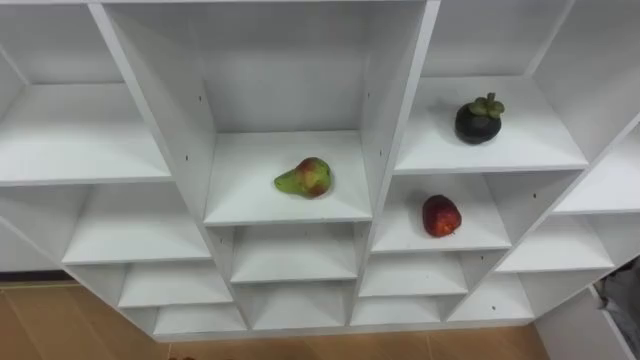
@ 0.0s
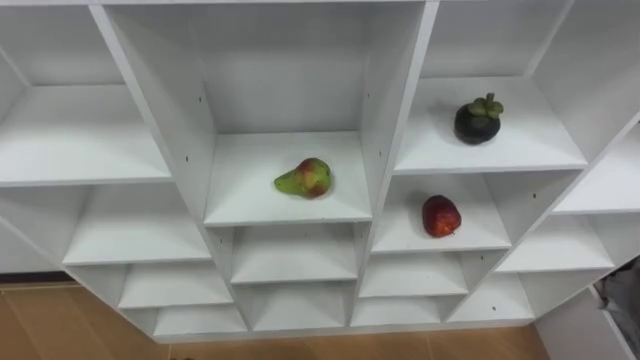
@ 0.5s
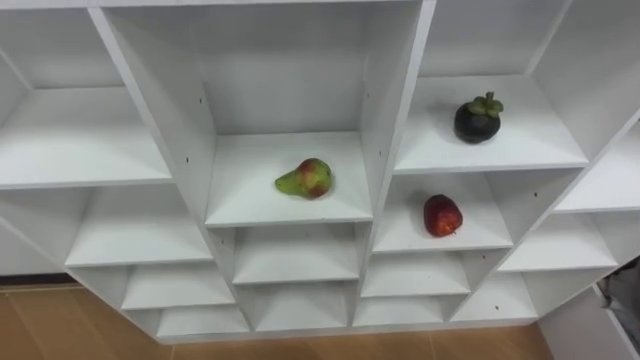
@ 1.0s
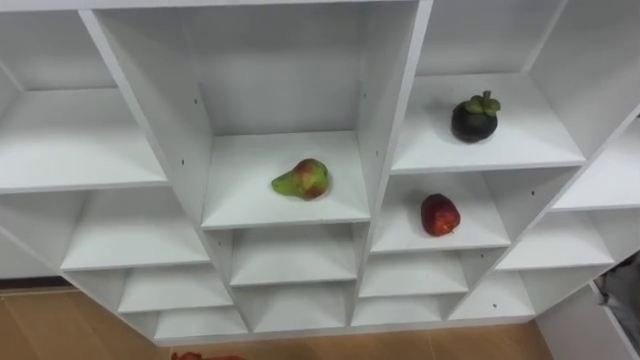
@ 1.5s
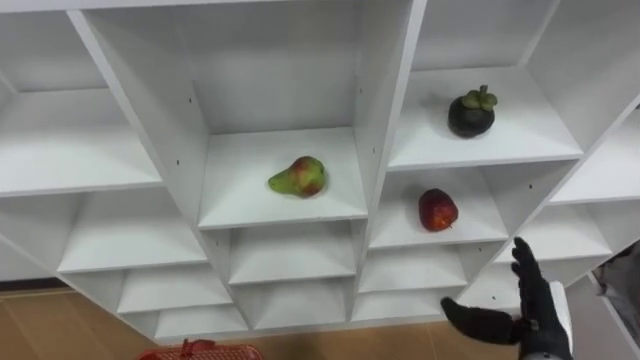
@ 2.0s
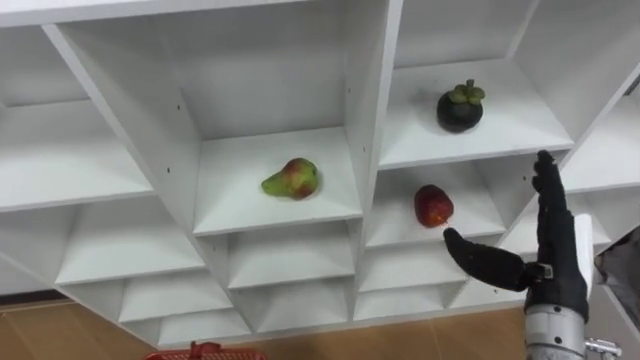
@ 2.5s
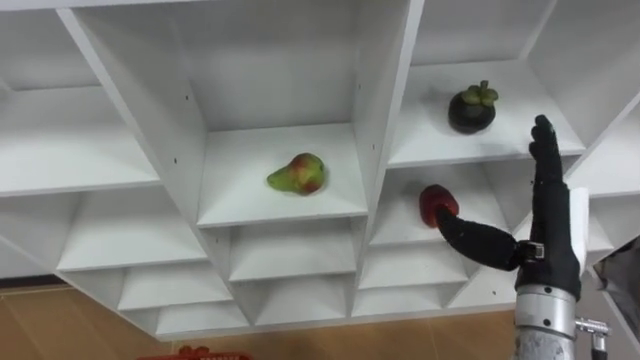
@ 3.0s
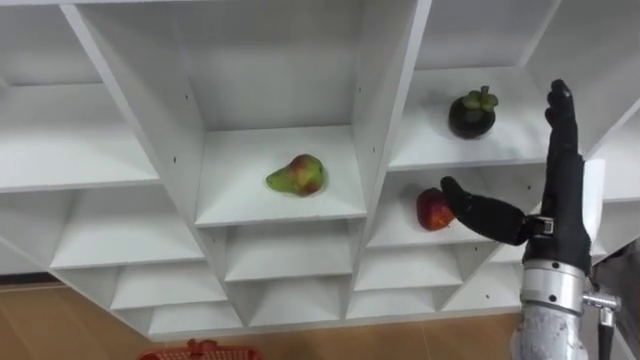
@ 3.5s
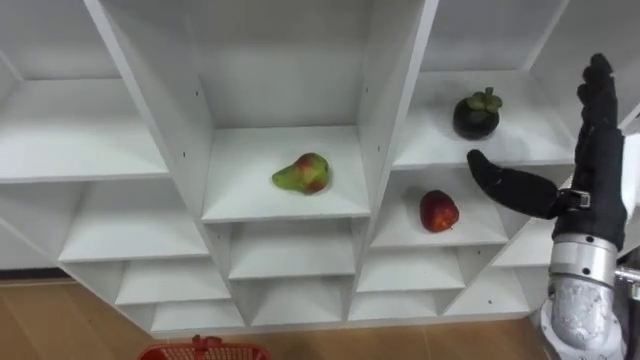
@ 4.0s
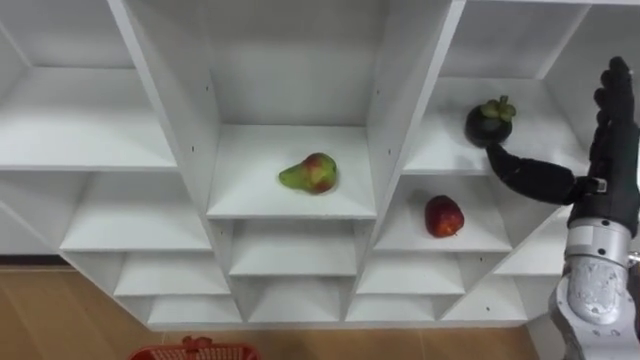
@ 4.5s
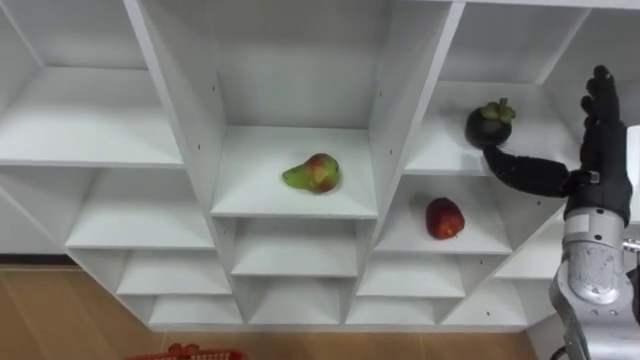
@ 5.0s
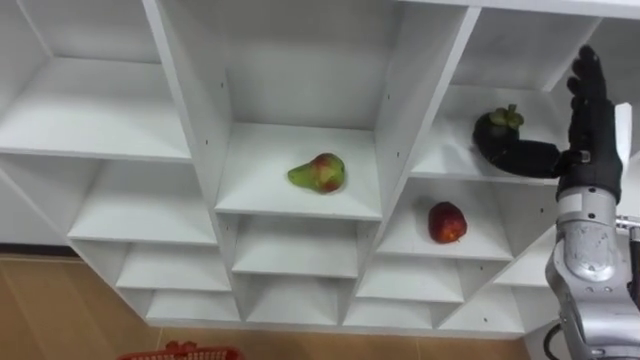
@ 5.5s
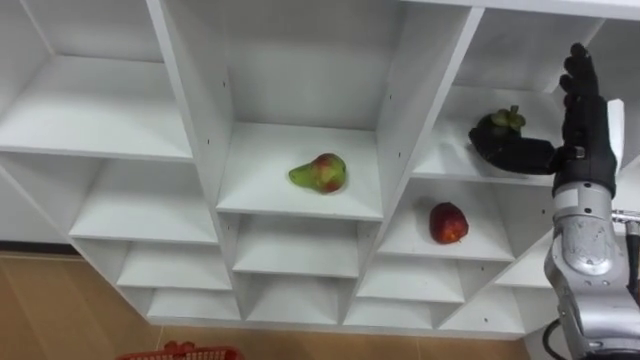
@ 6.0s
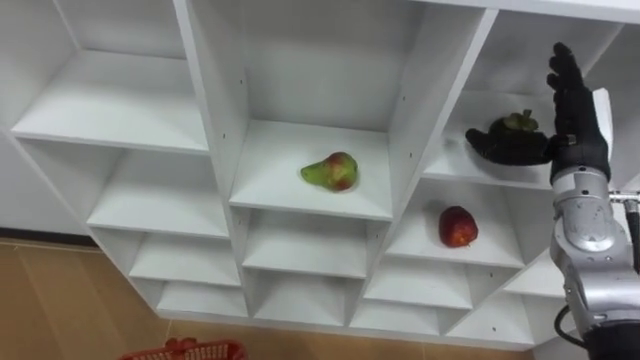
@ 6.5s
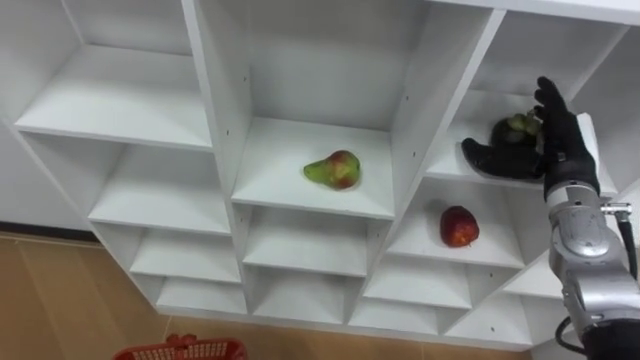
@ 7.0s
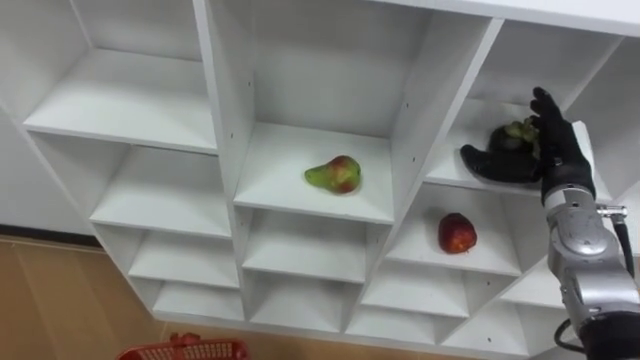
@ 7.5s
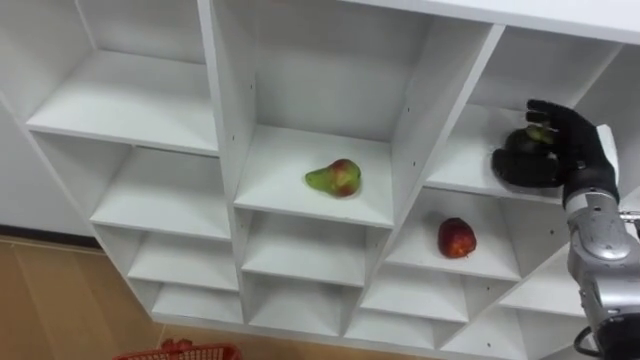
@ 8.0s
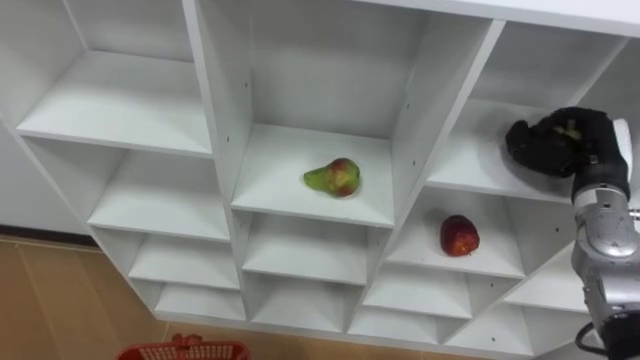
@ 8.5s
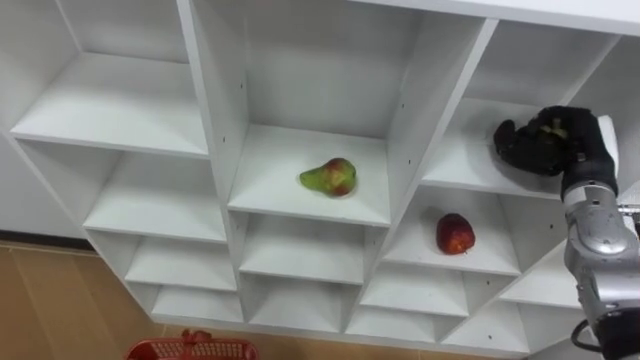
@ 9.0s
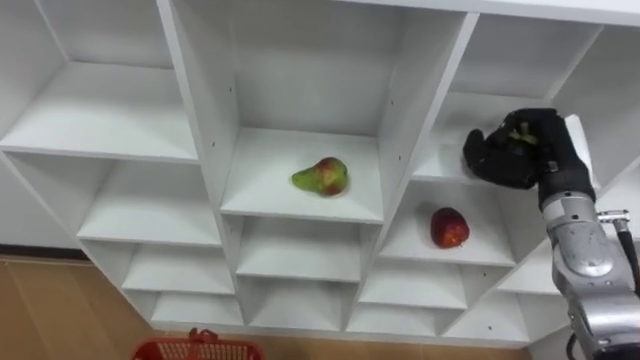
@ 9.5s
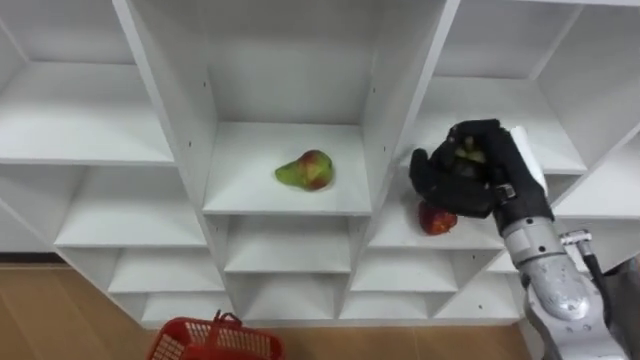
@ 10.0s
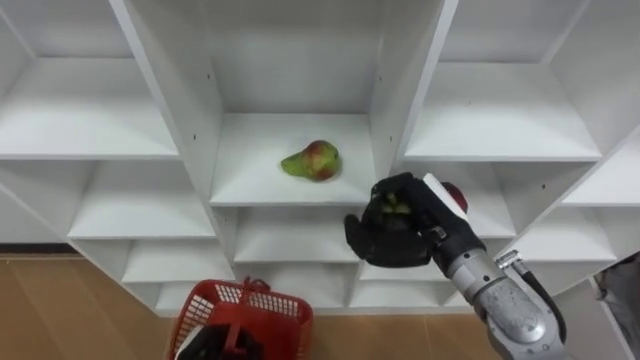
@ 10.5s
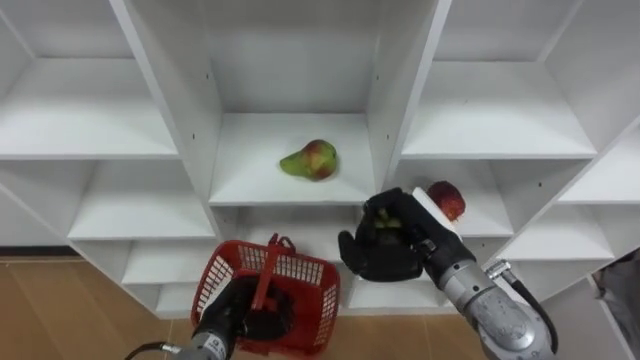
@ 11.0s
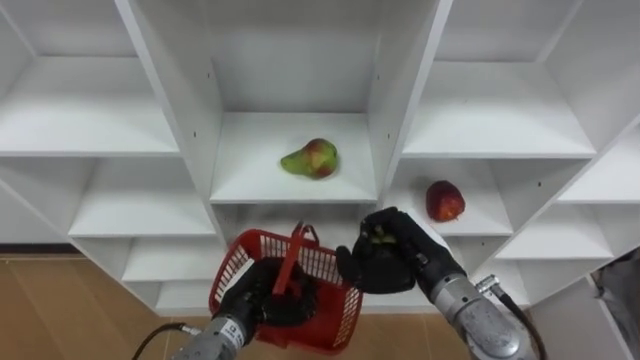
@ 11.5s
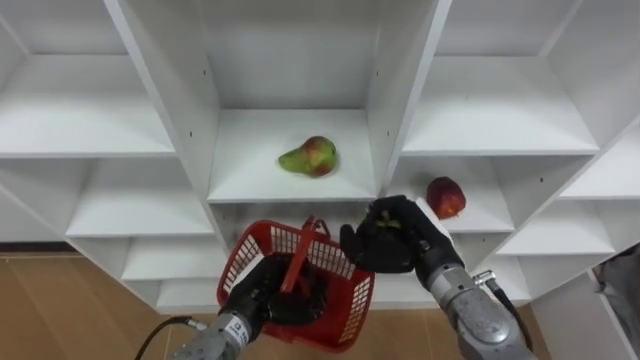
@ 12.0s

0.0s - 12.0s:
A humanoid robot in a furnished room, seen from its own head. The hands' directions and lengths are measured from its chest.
Task of the whole recording: Hold the basket and collect the fruits from 3 different cells of the closet into it.
2.0s - 4.0s: The right hand is displaced upward and forward by approximately 20 cm.
4.0s - 6.0s: The right hand goes some 5 cm forward.
6.0s - 8.0s: The right hand is displaced downward by approximately 5 cm.
8.0s - 10.0s: The right hand travels to the left by approximately 10 cm, and closes.
10.0s - 12.0s: The right hand heads downward and to the left, covering approximately 15 cm.

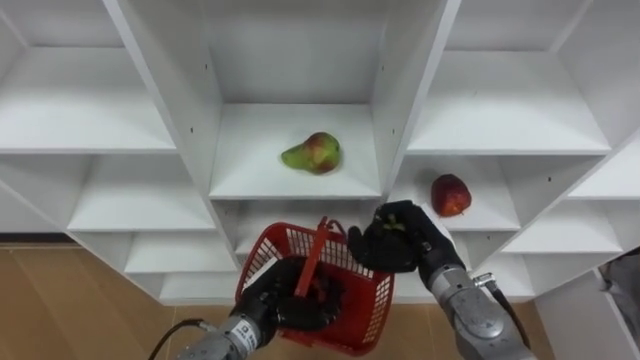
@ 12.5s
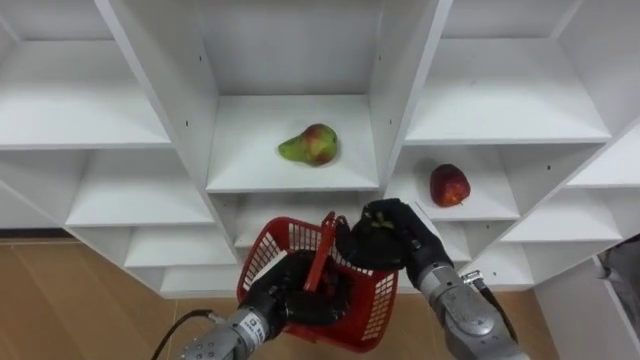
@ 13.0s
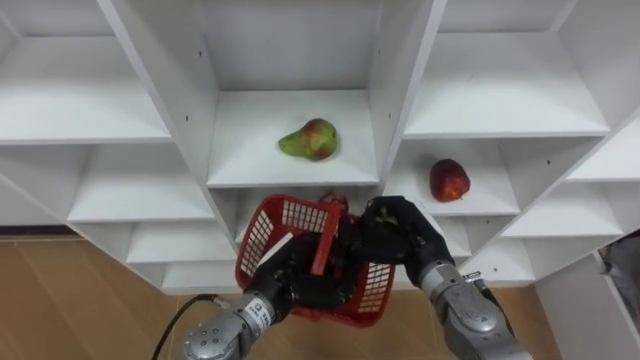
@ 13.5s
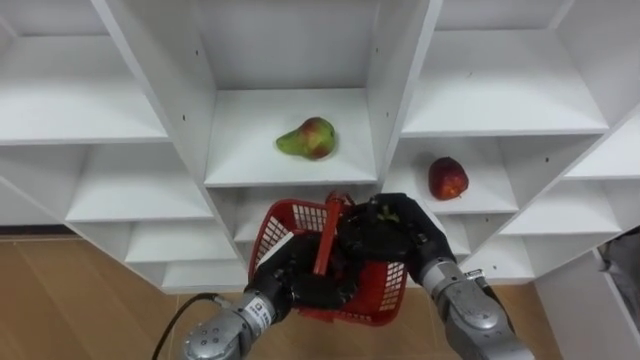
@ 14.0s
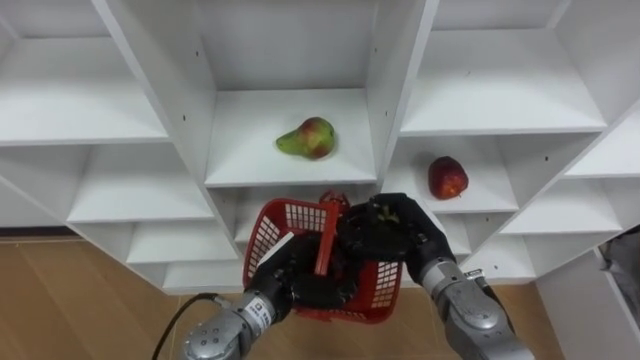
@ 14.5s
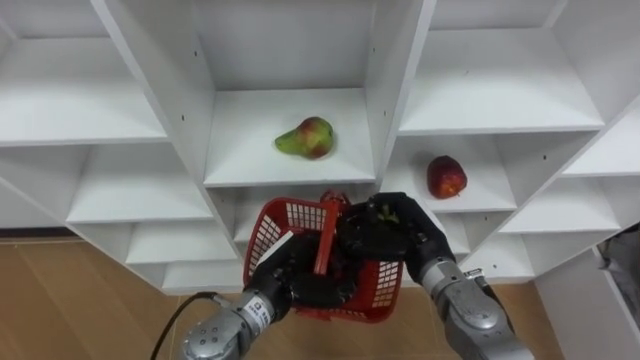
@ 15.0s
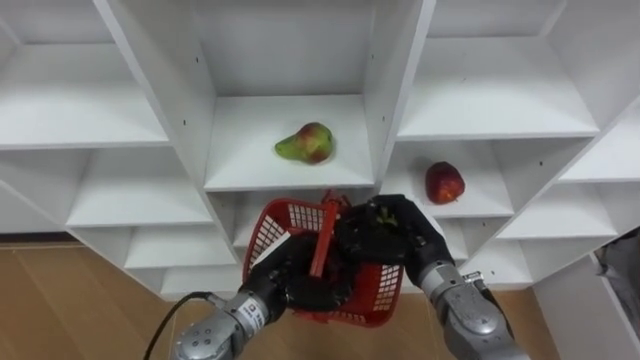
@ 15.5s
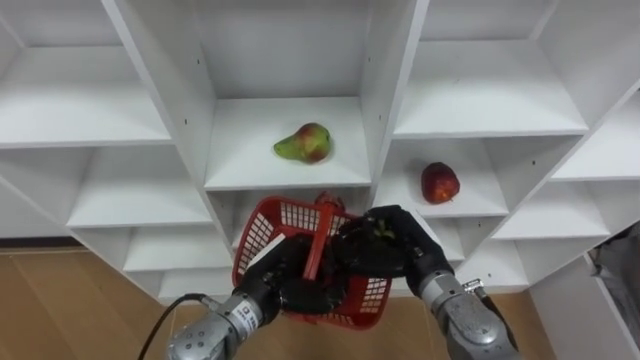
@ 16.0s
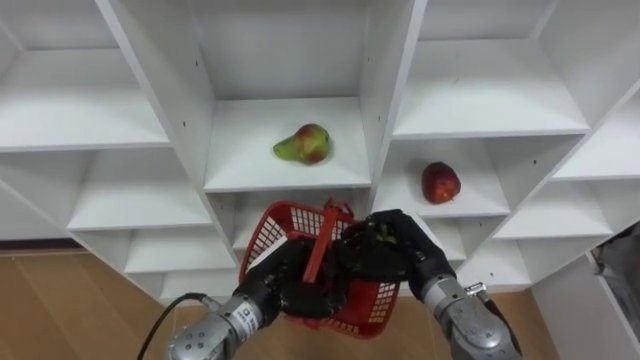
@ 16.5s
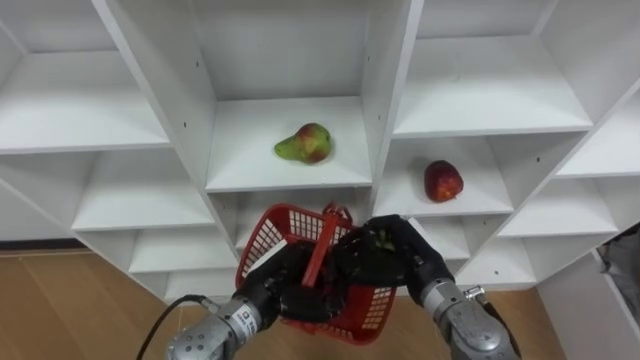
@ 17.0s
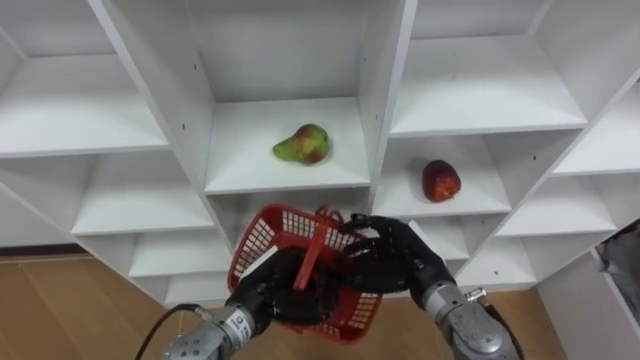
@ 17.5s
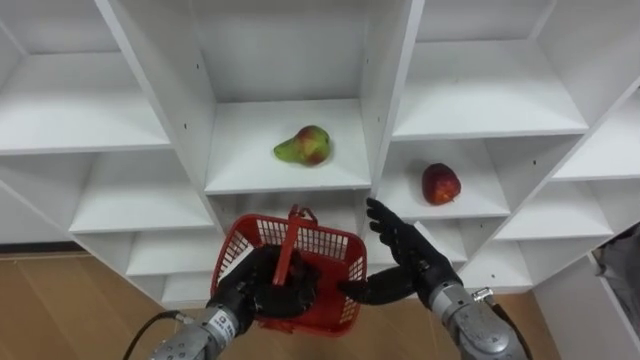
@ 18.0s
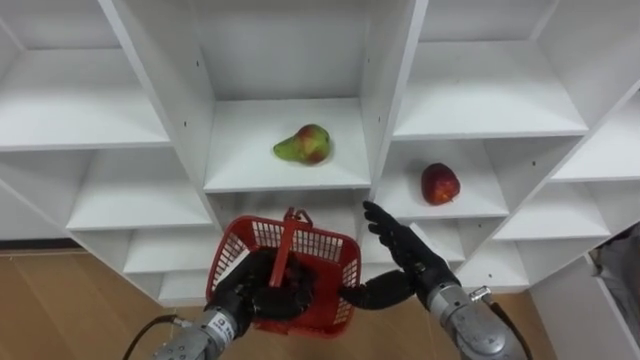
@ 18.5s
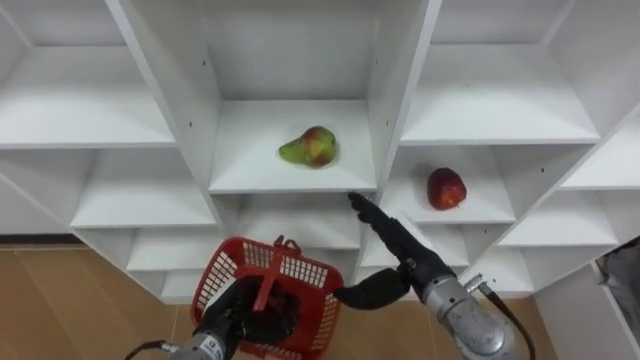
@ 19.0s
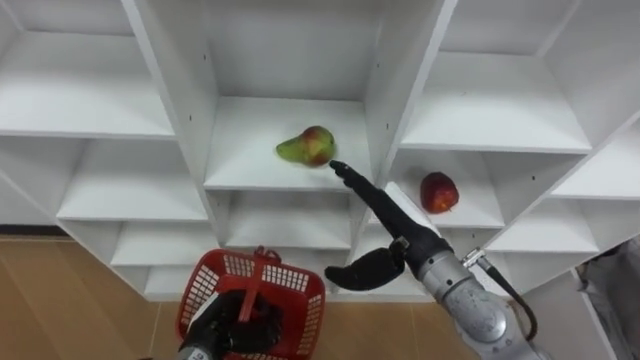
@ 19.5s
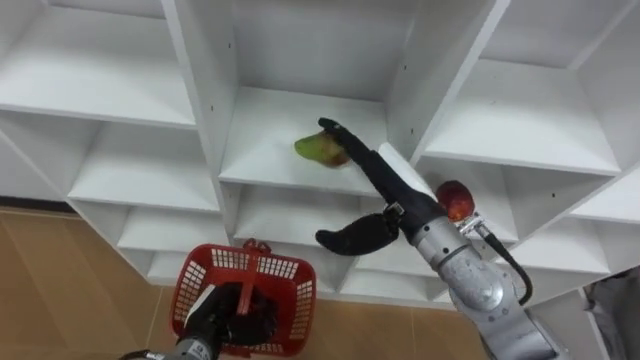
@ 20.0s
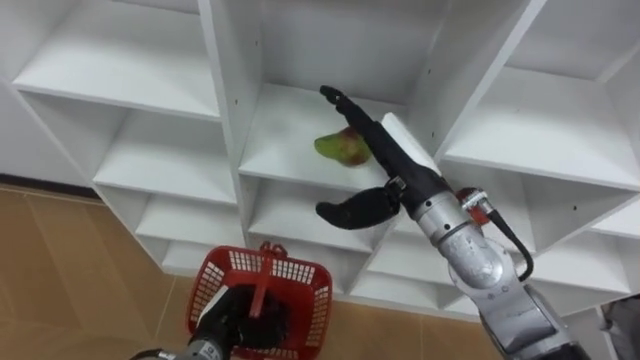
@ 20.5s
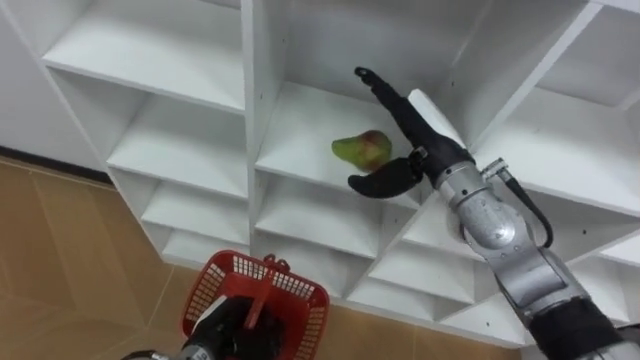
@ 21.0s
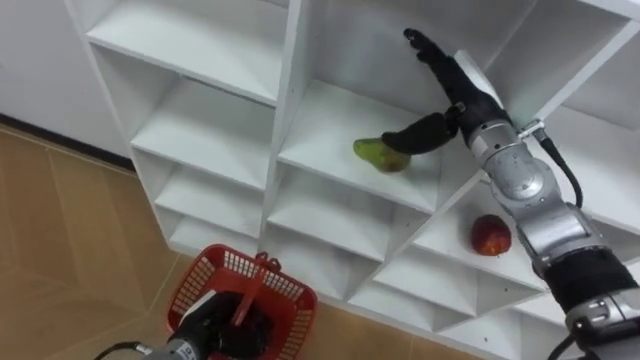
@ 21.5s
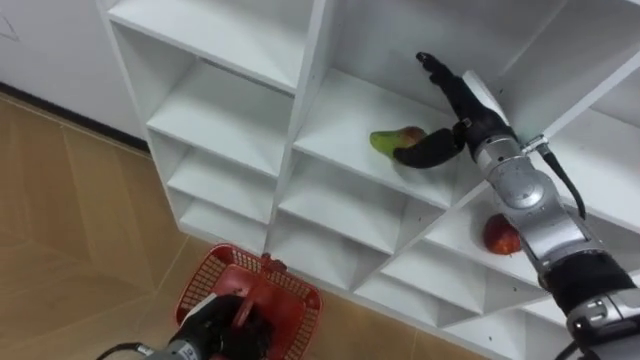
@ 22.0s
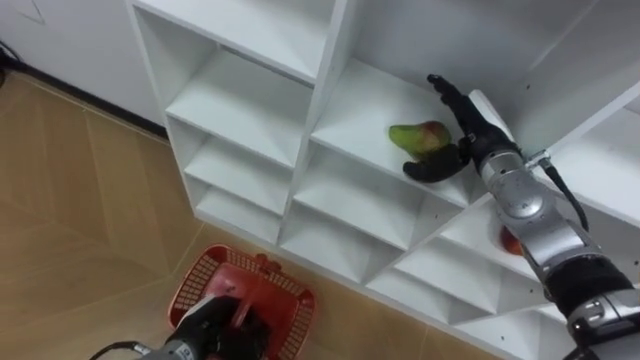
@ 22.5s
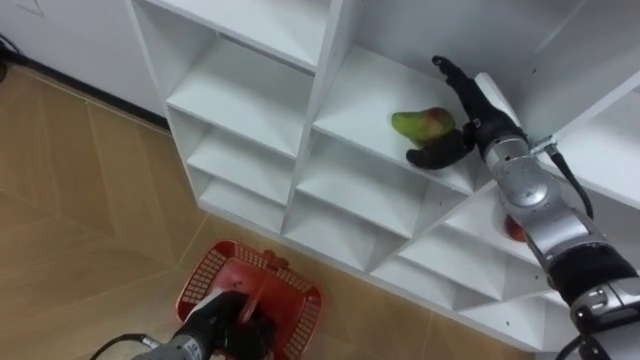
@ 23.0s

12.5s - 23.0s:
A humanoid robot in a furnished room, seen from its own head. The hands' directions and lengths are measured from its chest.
Task of the whole recording: Hold the basket and collect the fruits from 3 different cells of the closet into it.
14.5s - 16.5s: There are only small adjustments of the hands.
16.5s - 19.0s: The right hand opens up. The left hand goes some 10 cm downward and to the left.
19.0s - 21.0s: The right hand is displaced upward and forward by approximately 15 cm.
21.0s - 23.0s: The right hand heads to the right, covering roughly 10 cm.
